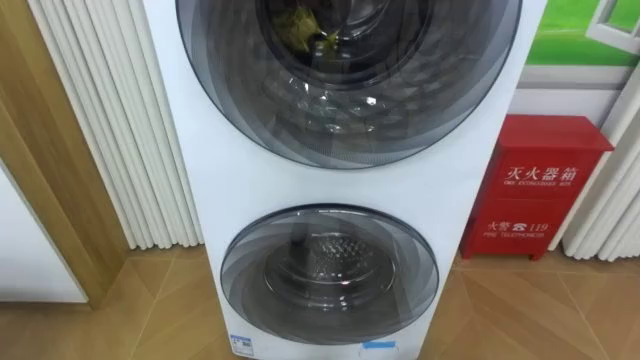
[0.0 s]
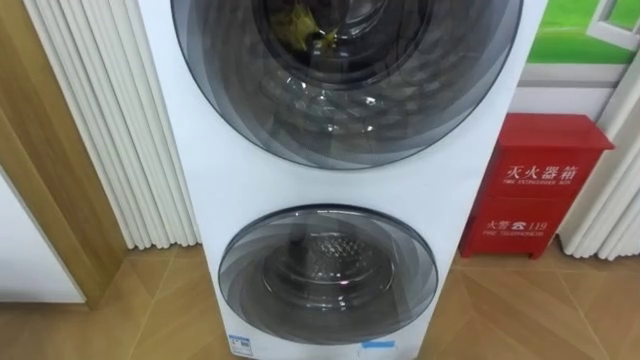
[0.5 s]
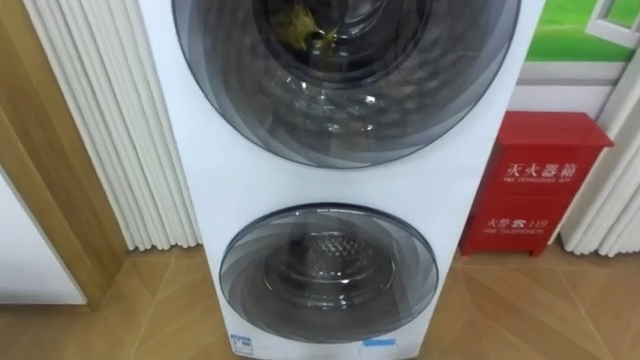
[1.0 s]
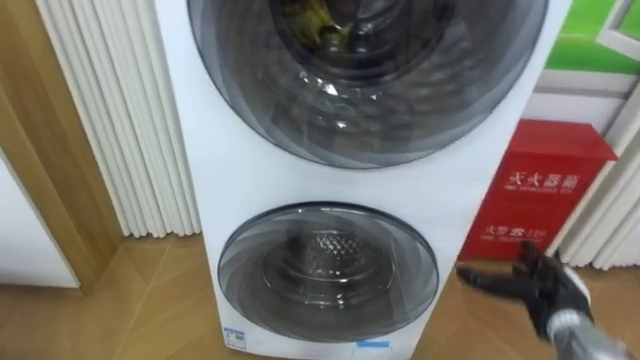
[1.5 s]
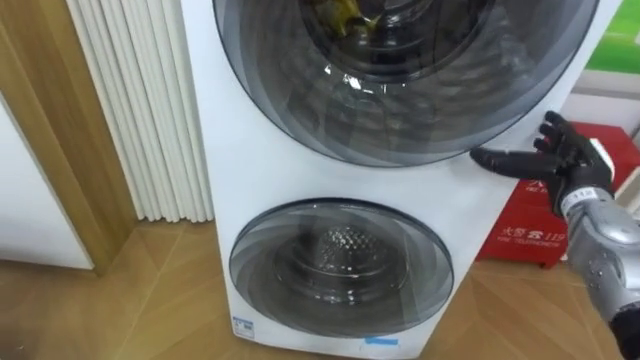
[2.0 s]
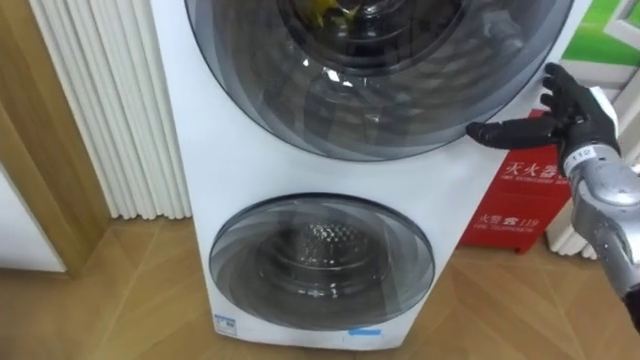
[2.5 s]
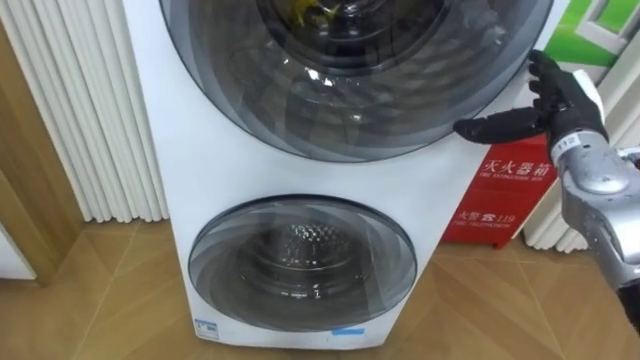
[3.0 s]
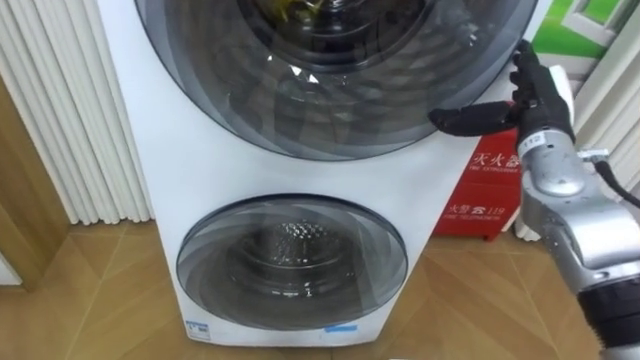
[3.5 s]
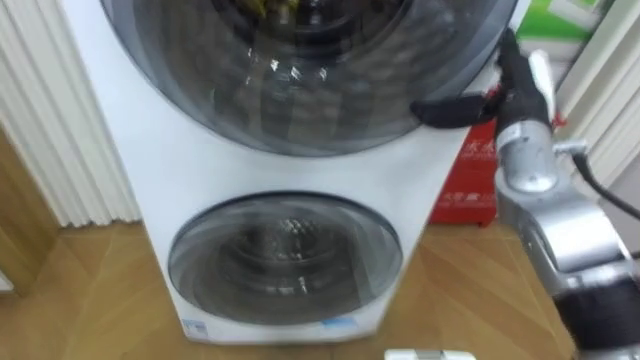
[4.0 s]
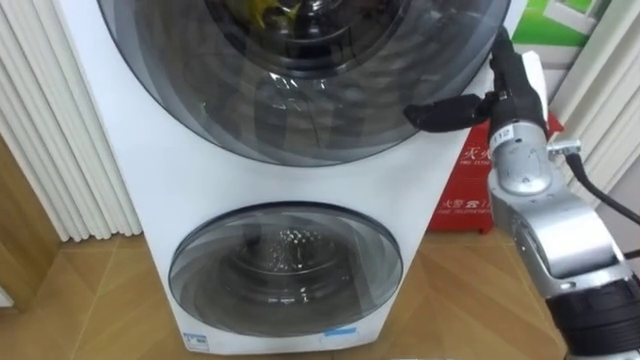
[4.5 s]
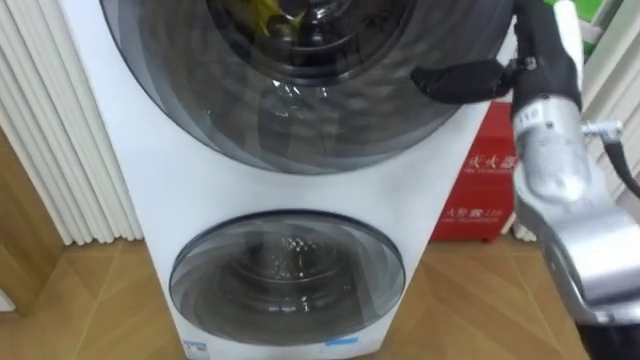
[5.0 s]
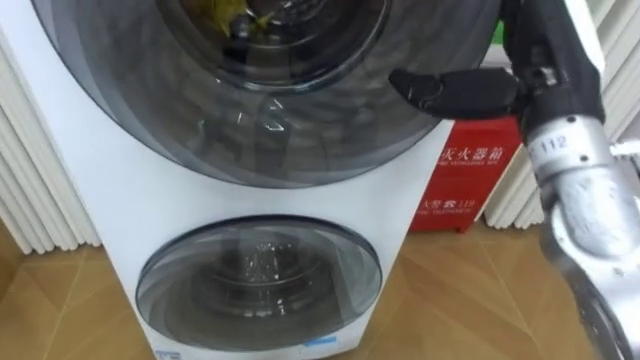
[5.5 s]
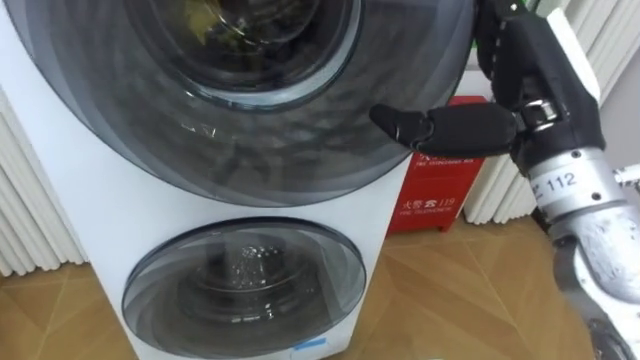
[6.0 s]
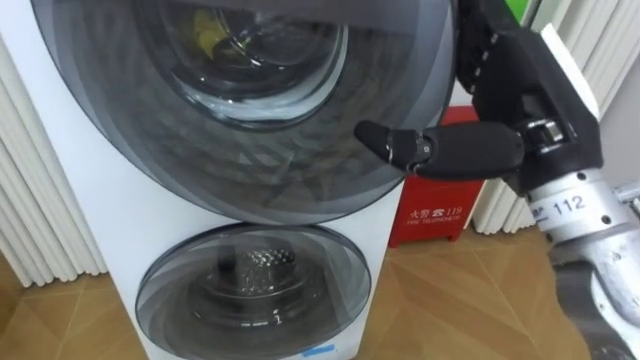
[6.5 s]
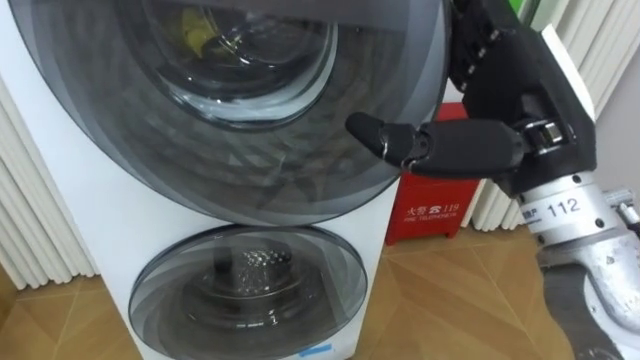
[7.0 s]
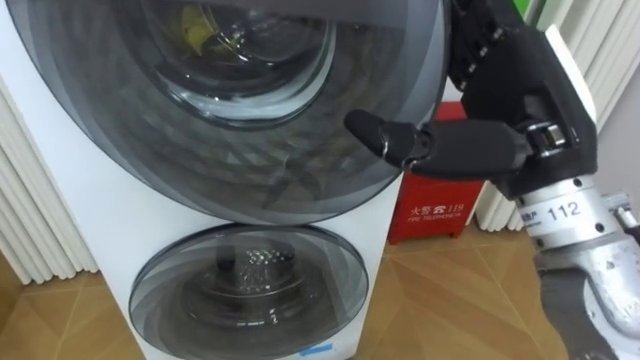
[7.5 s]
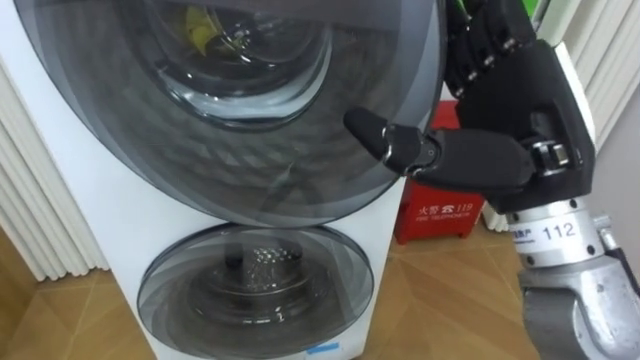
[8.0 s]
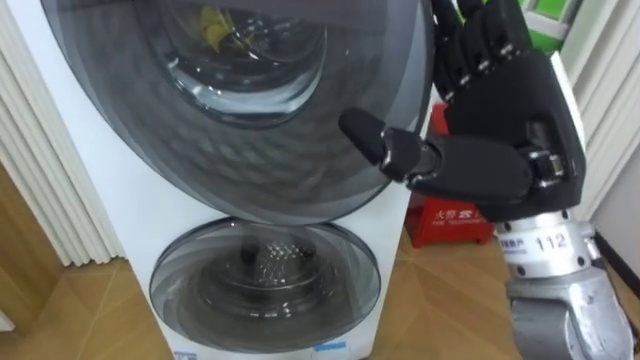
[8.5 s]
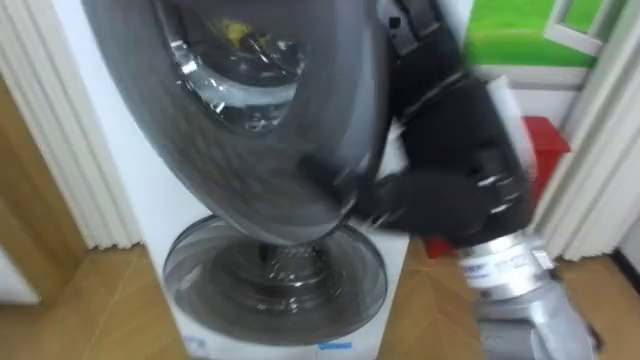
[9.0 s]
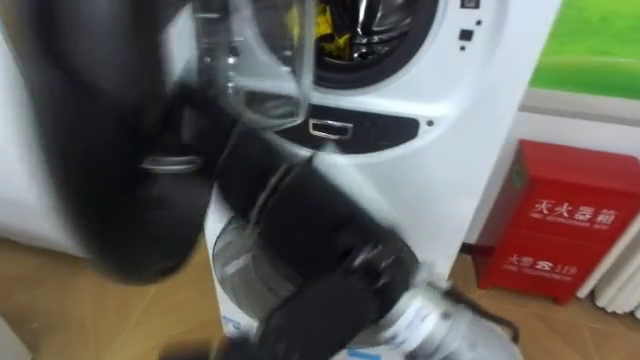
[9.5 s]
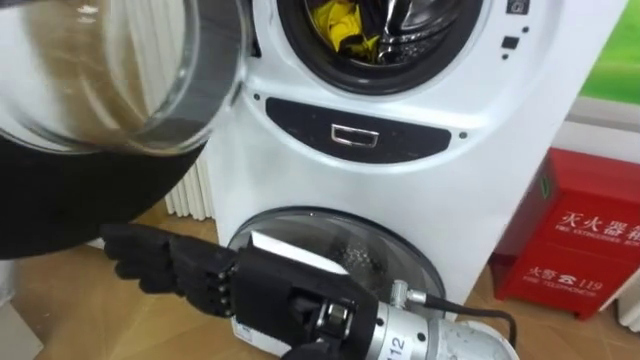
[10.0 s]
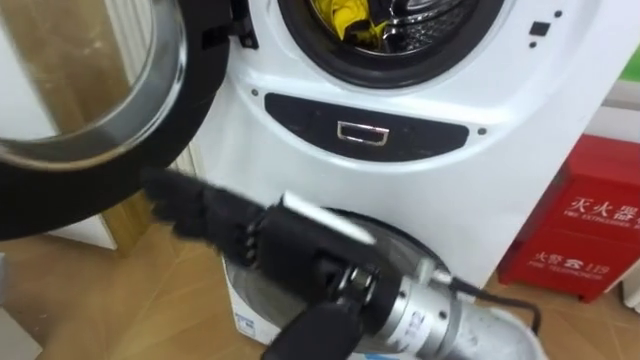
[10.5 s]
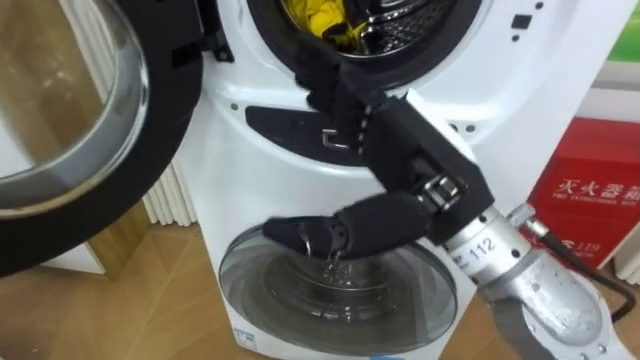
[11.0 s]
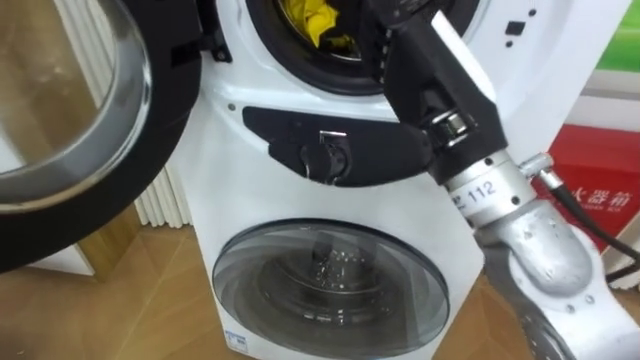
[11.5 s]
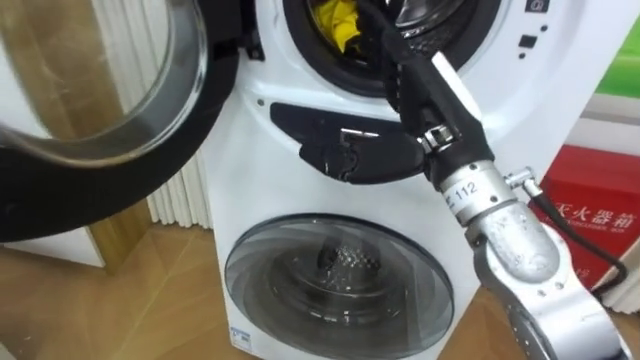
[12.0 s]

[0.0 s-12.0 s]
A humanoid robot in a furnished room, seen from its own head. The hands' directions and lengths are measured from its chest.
Task of the whole recording: Open the washing machine door, take out the yellow clothes, place them in the box on the right, and close the washing machine door.
2.0 to 4.0 s: The right hand shifts roughly 15 cm upward and to the left.
4.0 to 6.0 s: The right hand goes roughly 10 cm backward and upward.
8.0 to 10.0 s: The right hand moves to the left, downward and backward, about 20 cm.
10.0 to 12.0 s: The right hand goes some 20 cm forward and to the right.

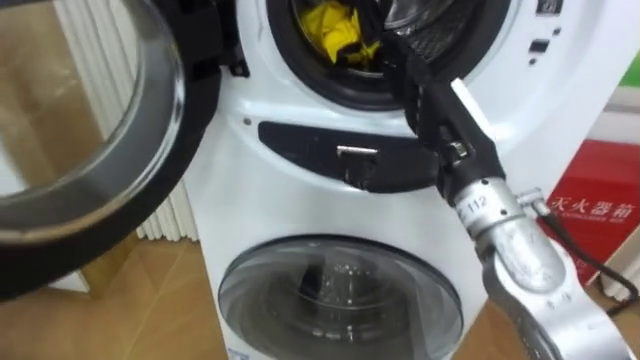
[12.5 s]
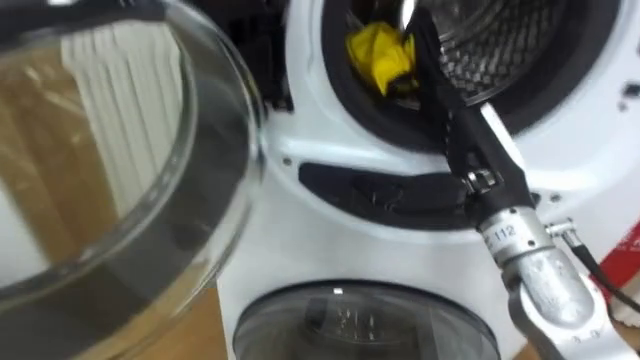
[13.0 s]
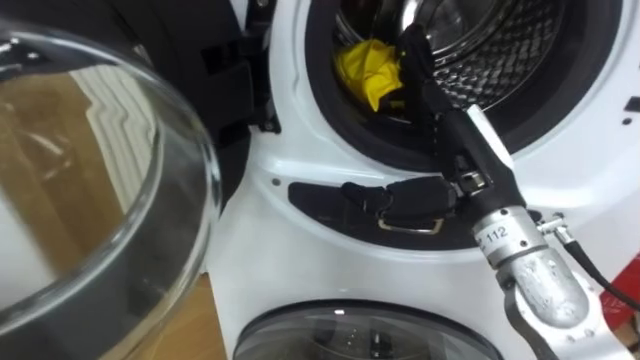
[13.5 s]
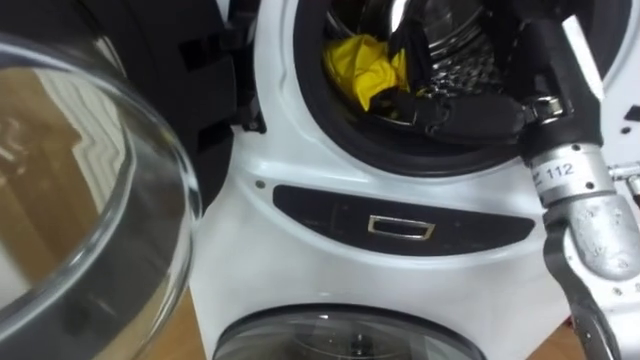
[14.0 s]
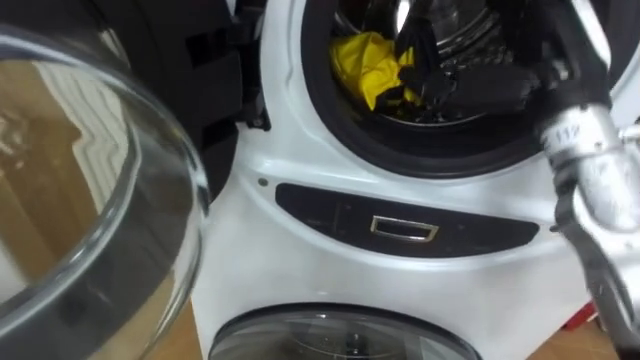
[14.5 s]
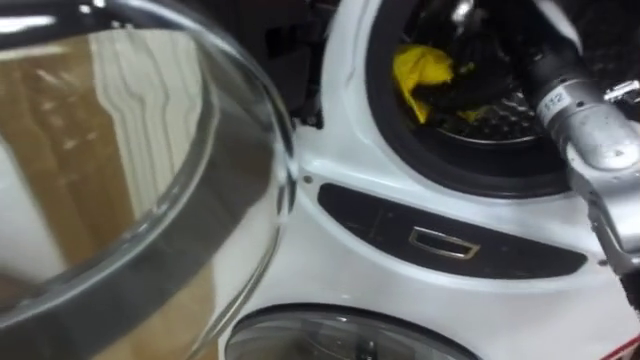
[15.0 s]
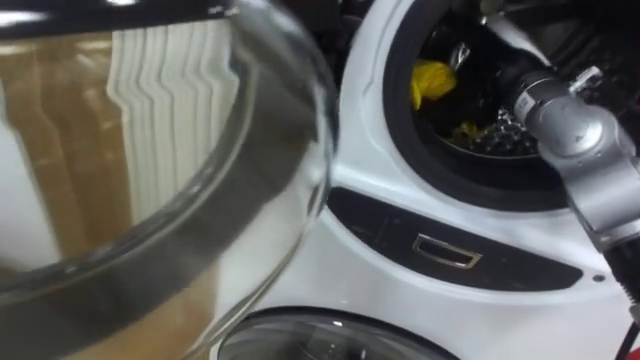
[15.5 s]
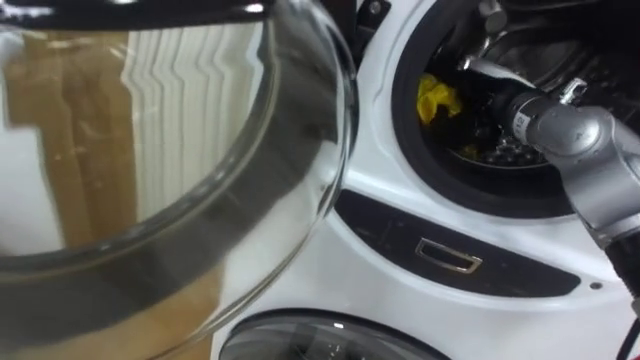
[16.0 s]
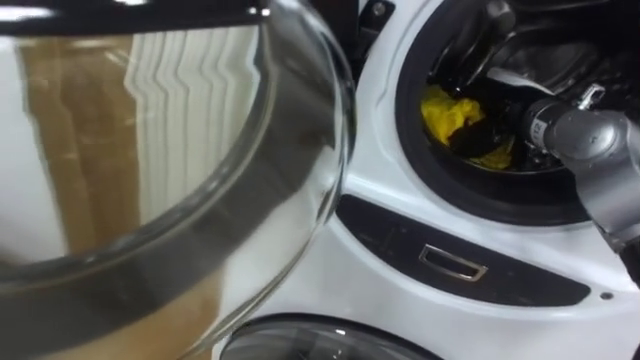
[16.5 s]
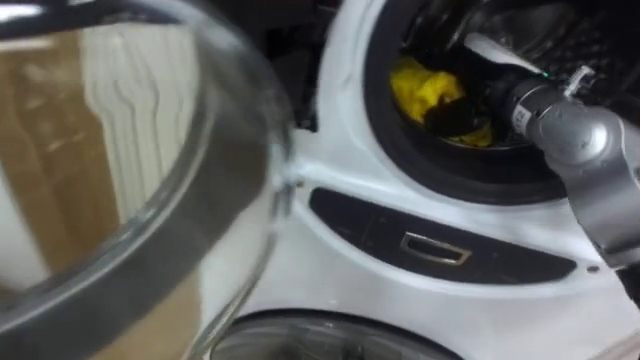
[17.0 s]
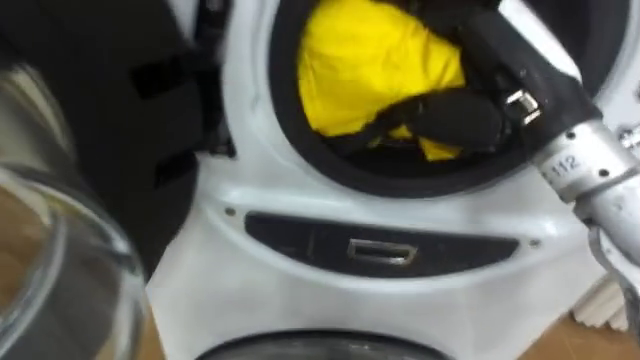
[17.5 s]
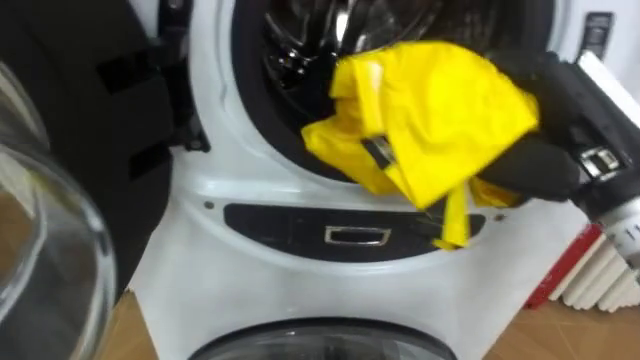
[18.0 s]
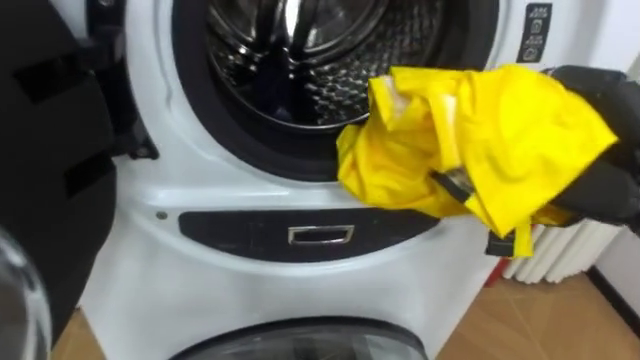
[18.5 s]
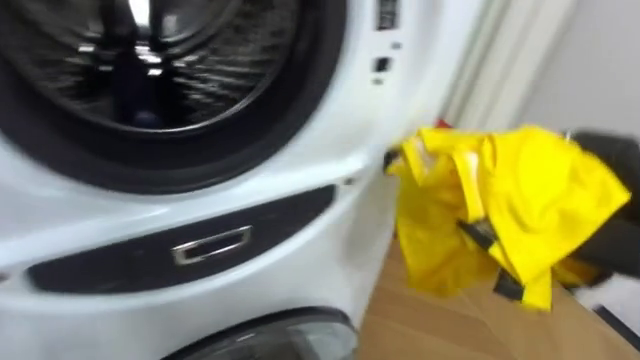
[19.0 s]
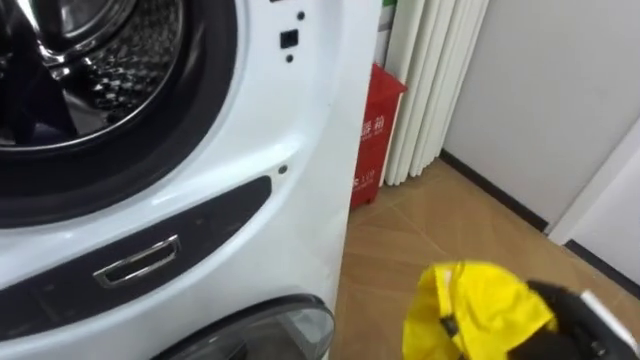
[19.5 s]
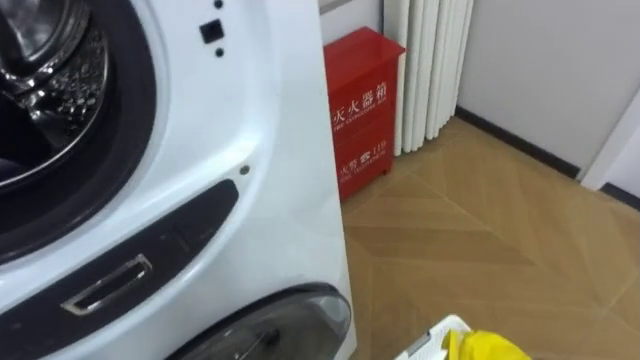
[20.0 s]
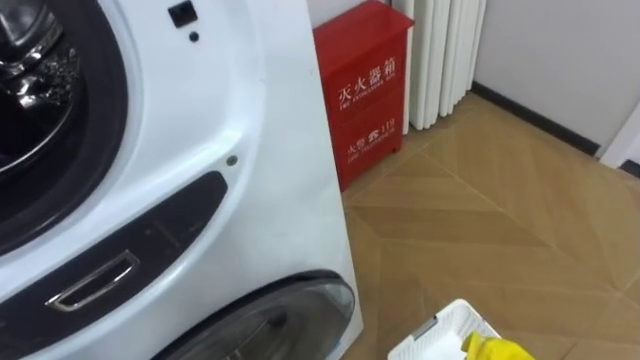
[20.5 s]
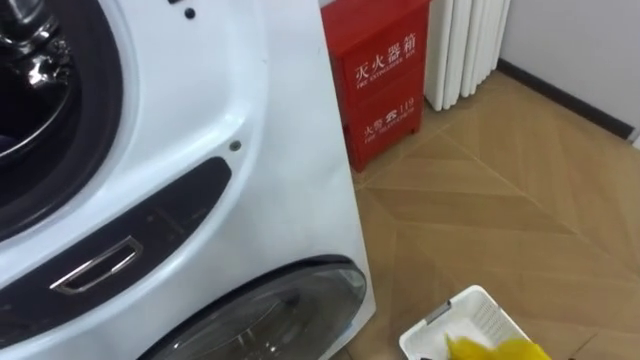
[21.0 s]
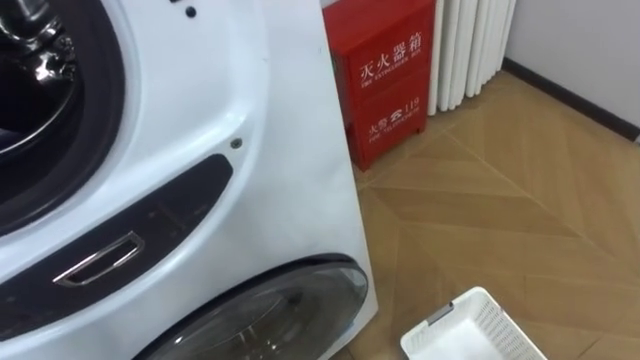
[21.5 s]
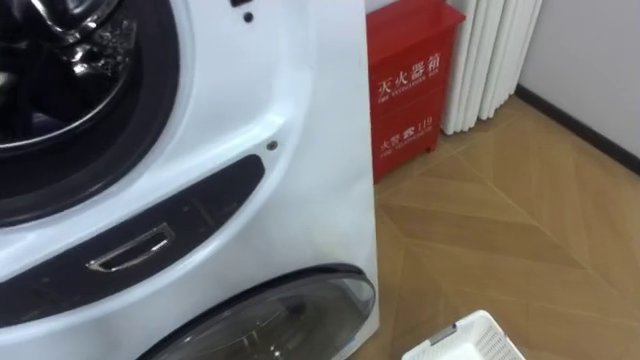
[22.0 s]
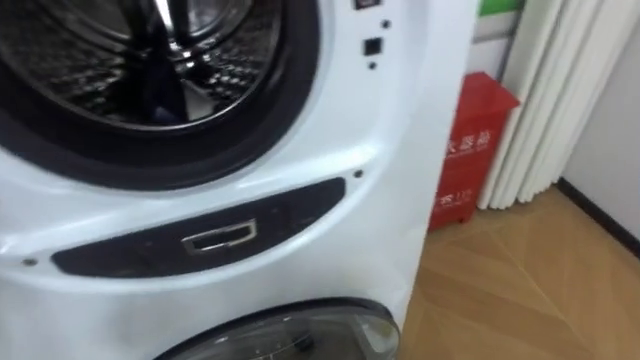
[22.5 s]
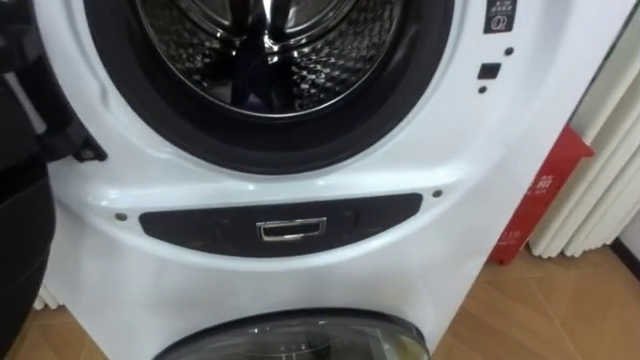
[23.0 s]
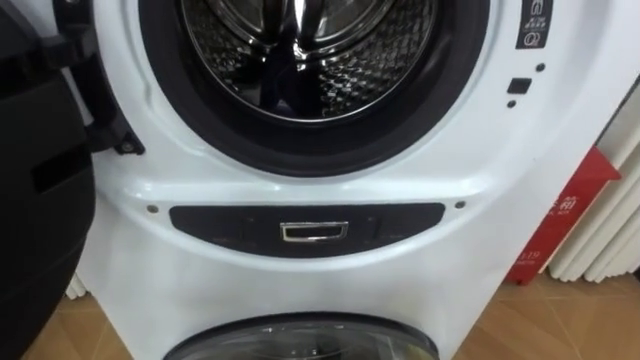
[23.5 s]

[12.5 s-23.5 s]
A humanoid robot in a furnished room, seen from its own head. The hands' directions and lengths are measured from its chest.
Task of the whole recording: Open the washing machine door, take out the yellow clothes, place them in the box on the right, and close the washing machine door.
12.5 to 14.5 s: The right hand is displaced upward and to the right by some 10 cm.
14.5 to 16.0 s: The right hand moves downward and forward, about 10 cm.
16.0 to 18.0 s: The right hand is displaced backward by about 15 cm, and closes up.
